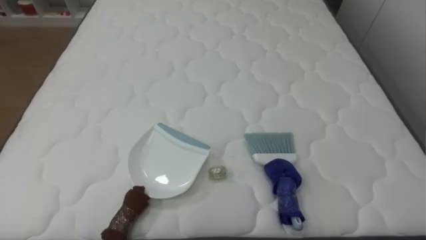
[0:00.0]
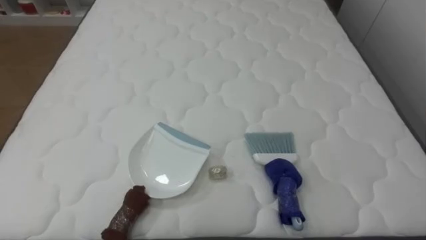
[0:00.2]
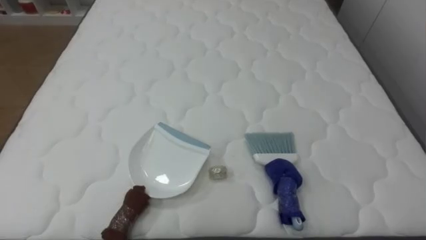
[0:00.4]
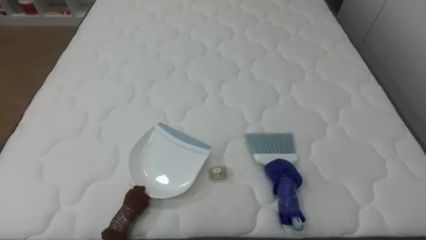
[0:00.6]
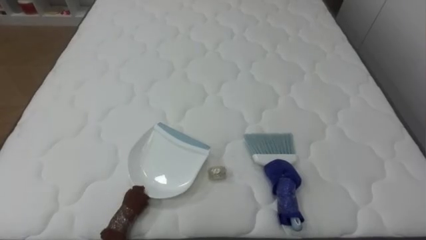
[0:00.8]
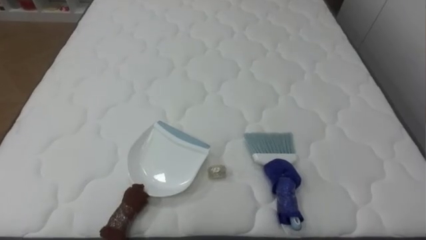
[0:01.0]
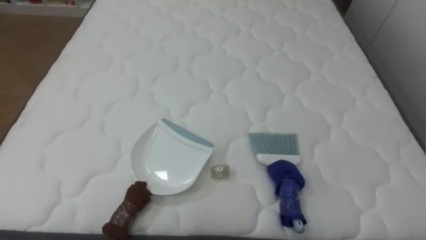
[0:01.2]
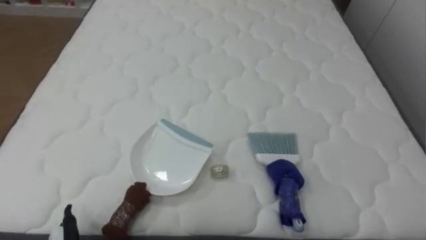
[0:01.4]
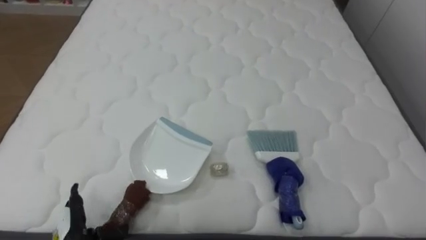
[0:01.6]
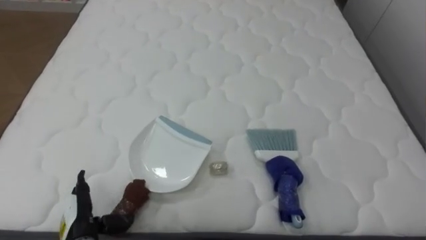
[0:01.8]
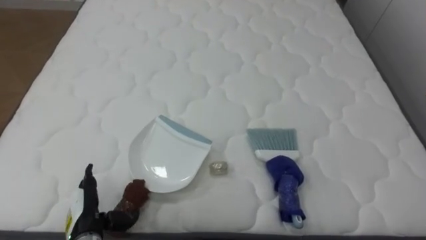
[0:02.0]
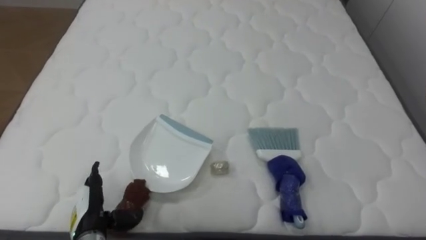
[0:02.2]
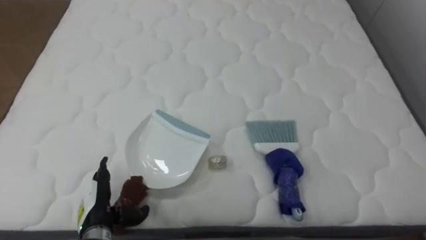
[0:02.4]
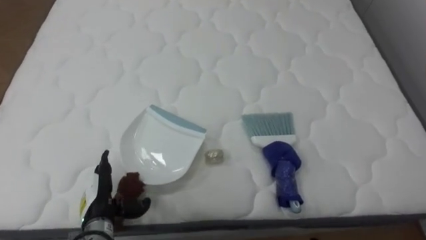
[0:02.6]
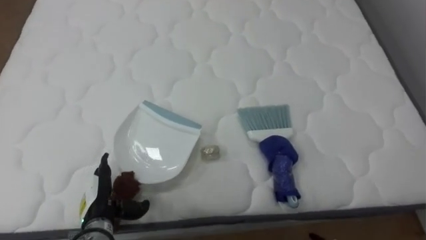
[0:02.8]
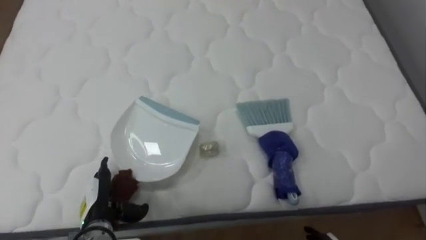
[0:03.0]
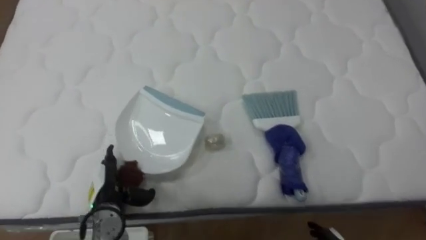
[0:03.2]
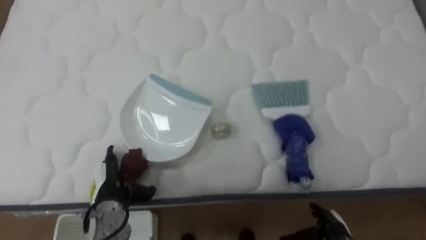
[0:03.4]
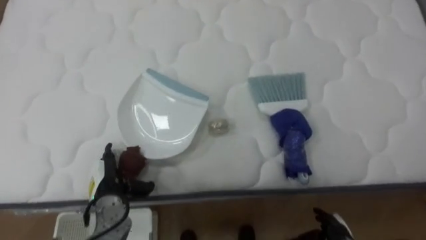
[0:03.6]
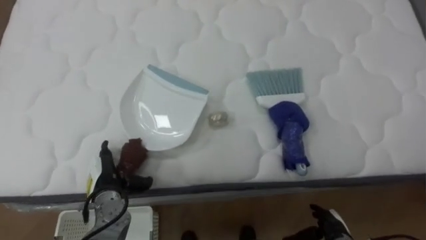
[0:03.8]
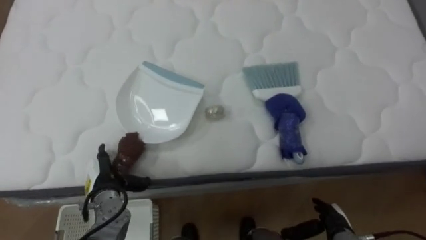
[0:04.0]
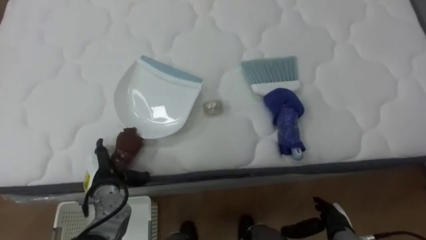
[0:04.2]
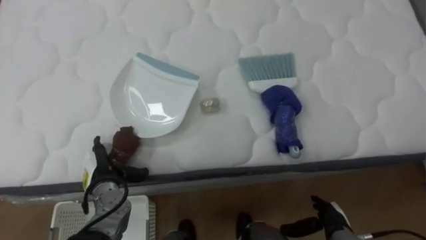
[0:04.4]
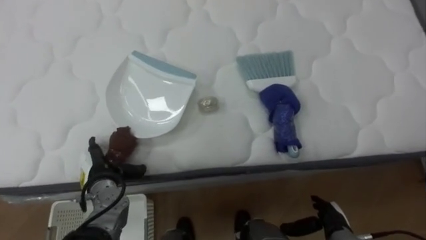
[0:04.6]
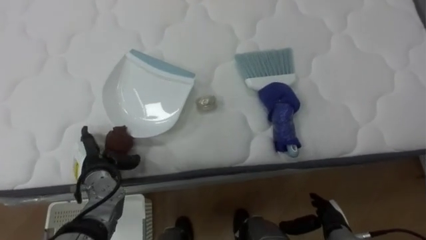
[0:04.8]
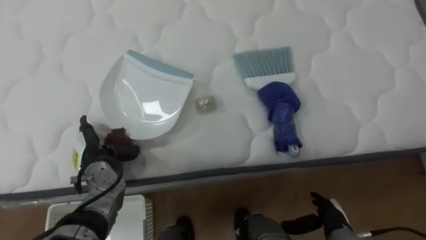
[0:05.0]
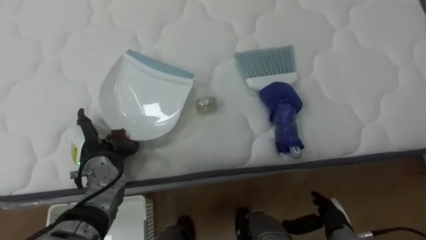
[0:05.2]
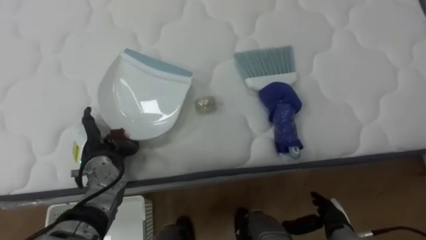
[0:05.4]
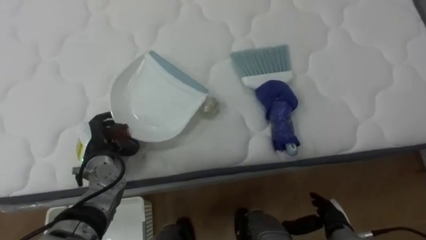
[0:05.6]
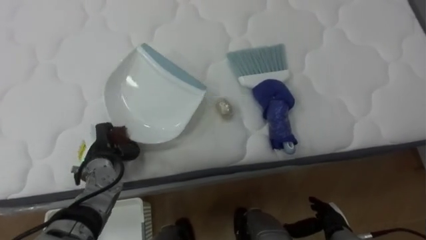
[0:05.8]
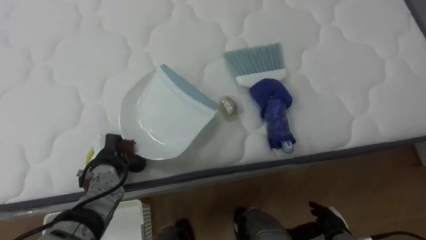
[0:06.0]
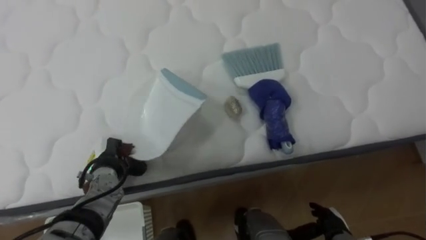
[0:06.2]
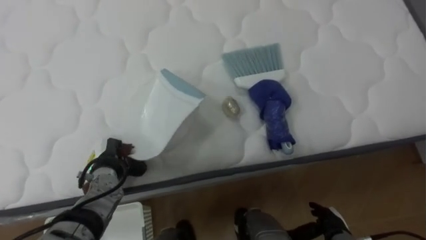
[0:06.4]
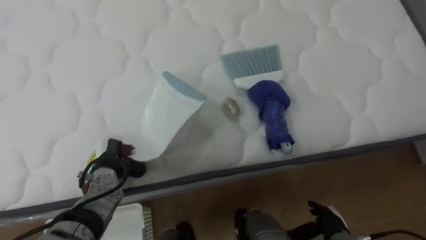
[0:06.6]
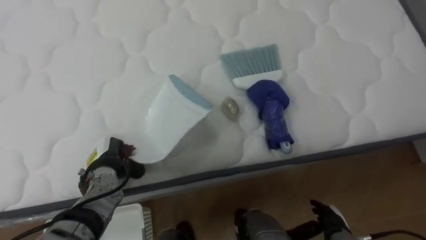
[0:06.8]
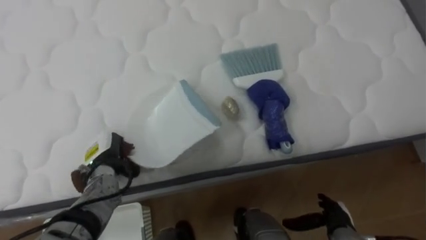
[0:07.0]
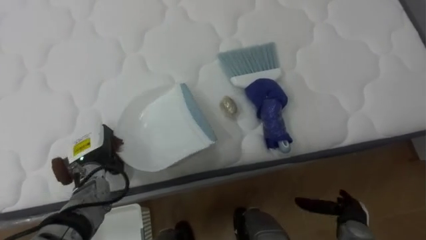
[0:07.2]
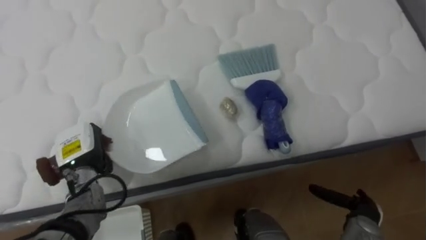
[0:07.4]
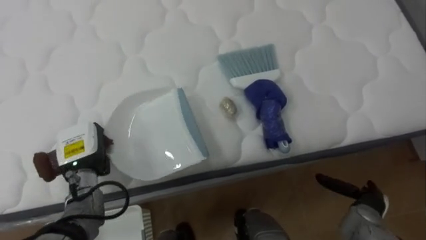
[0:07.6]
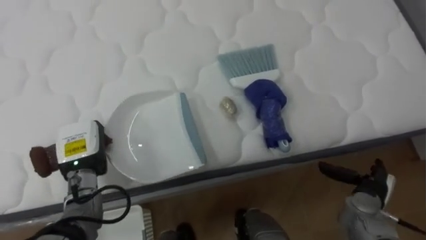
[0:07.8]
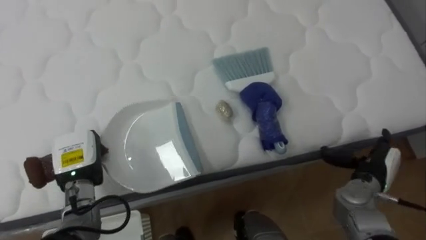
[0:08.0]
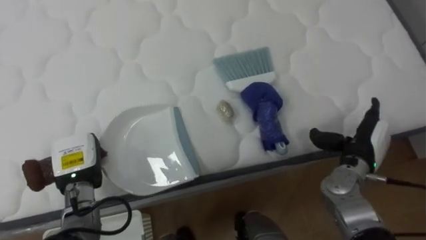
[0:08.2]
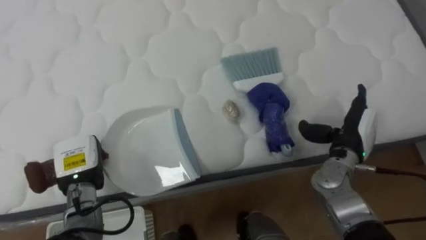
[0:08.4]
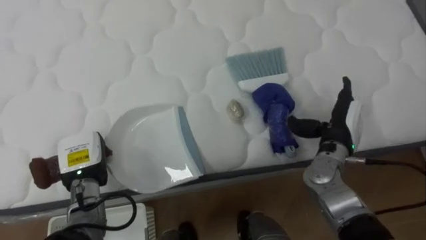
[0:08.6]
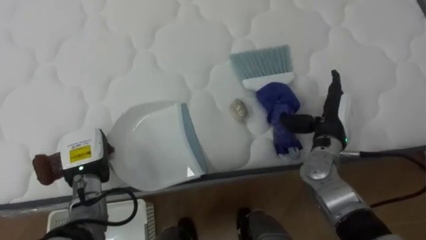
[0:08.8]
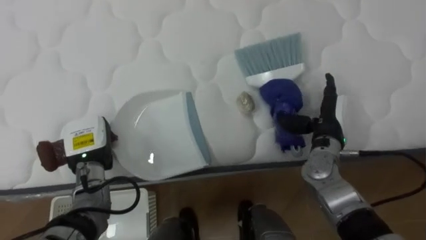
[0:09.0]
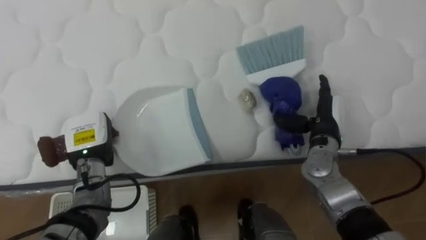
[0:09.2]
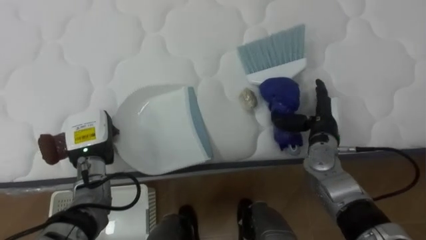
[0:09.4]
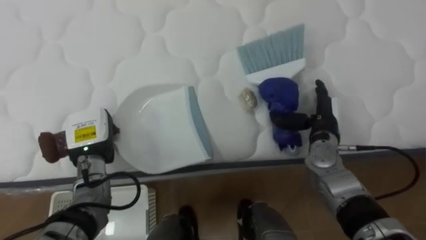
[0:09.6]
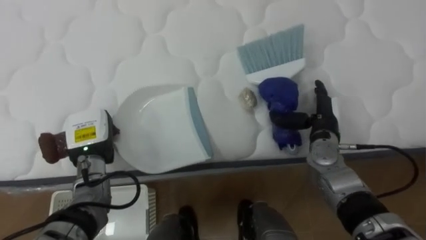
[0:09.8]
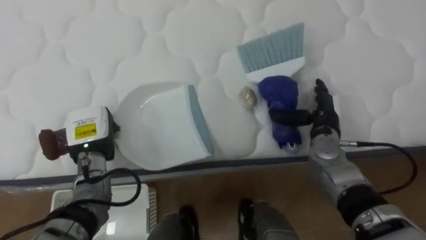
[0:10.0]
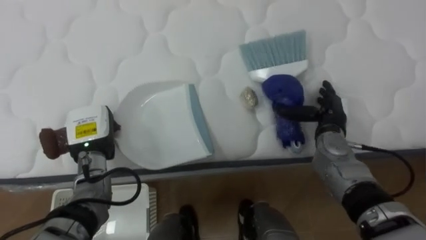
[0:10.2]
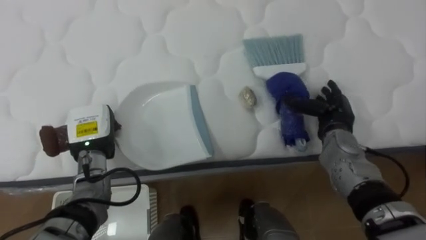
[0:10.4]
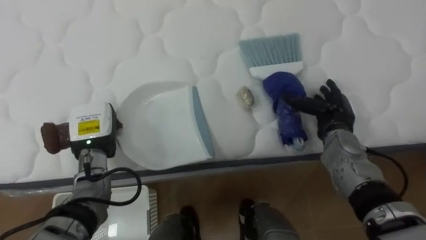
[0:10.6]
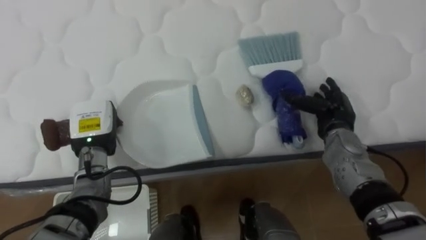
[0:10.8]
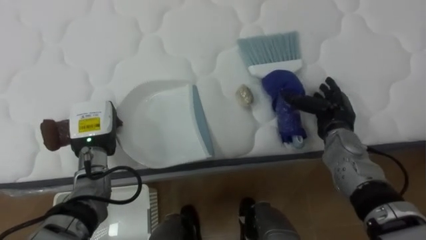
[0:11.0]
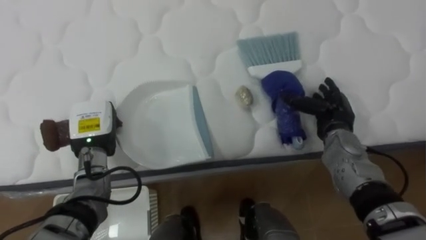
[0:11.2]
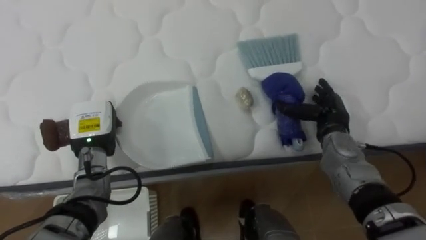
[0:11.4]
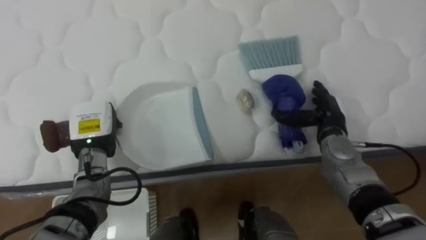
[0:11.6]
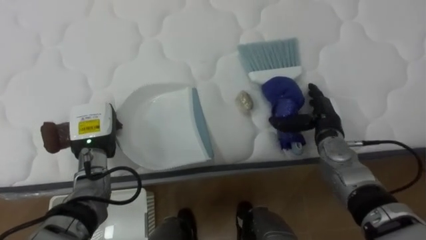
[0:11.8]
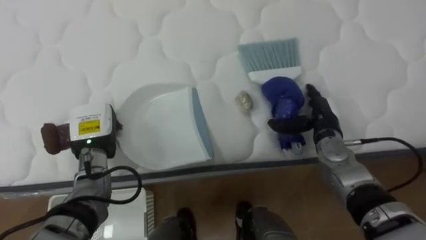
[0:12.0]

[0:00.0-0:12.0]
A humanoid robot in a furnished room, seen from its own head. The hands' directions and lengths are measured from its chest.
Task of the whole recording: Pick up the brush on your right and the dustpan on your left. Use the brush to sweep the crumpled paper on the bed into the dustpan, then turn left and empty it into the basket.
0:01.6 to 0:03.0: The left hand shifts roughly 5 cm forward.
0:03.0 to 0:04.4: The left hand is displaced forward by about 5 cm.
0:04.4 to 0:06.0: The left hand closes its fingers.
0:06.0 to 0:07.6: The right hand is displaced to the right by roughly 5 cm; the left hand changes place by roughly 5 cm.
0:07.6 to 0:09.0: The right hand goes approximately 20 cm upward, forward and to the left.

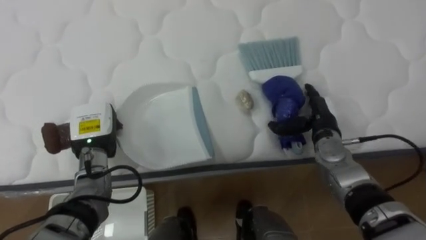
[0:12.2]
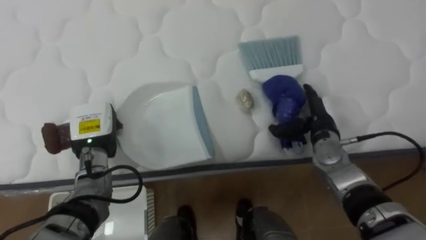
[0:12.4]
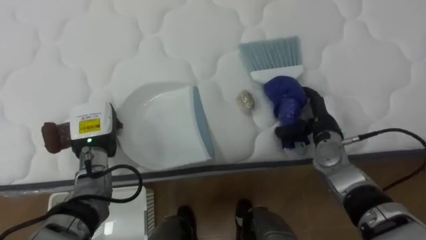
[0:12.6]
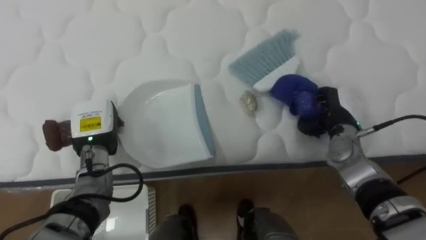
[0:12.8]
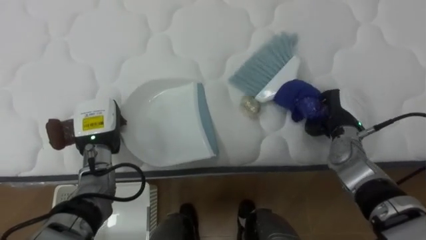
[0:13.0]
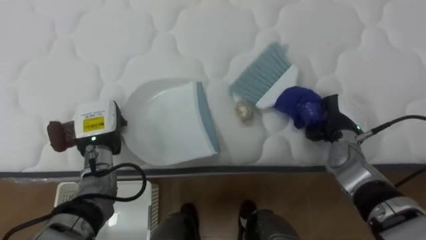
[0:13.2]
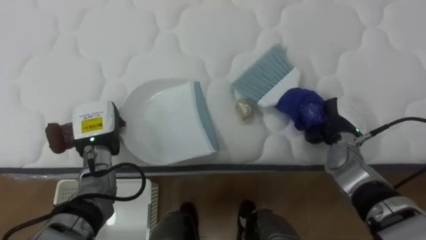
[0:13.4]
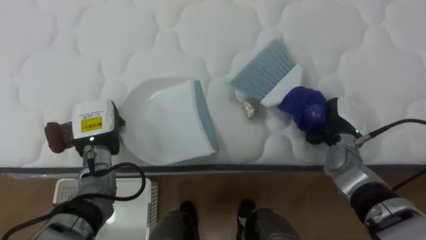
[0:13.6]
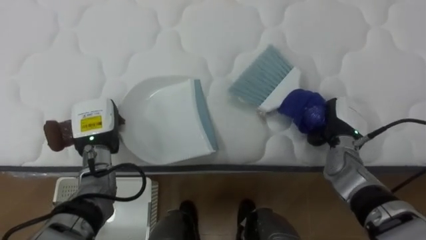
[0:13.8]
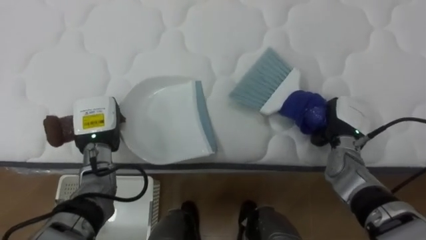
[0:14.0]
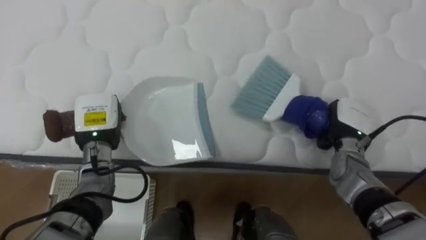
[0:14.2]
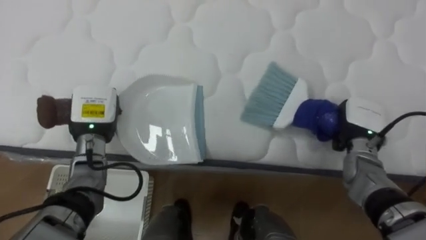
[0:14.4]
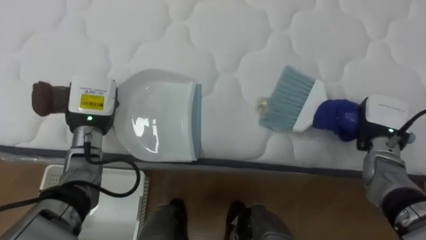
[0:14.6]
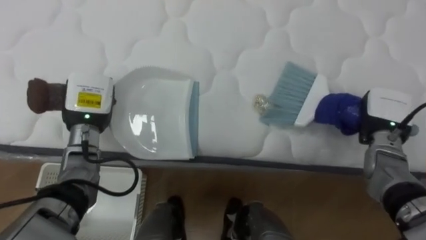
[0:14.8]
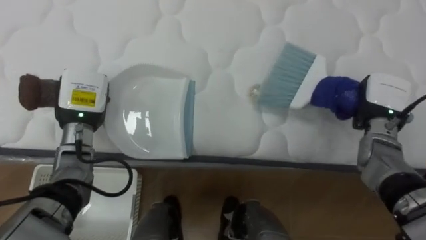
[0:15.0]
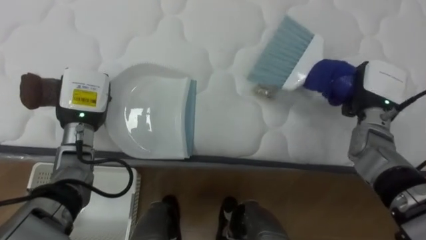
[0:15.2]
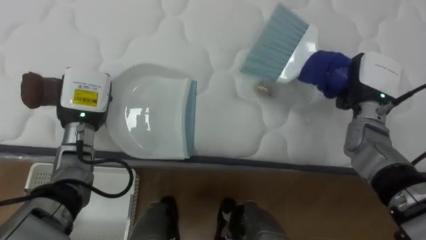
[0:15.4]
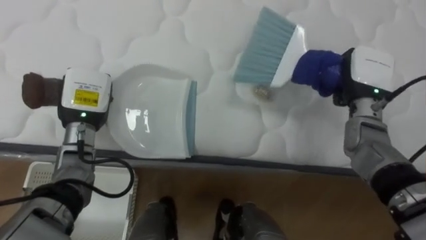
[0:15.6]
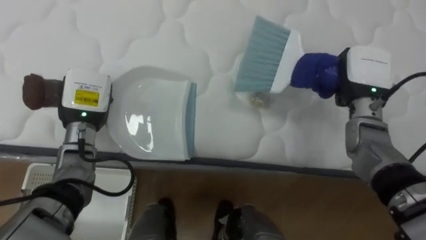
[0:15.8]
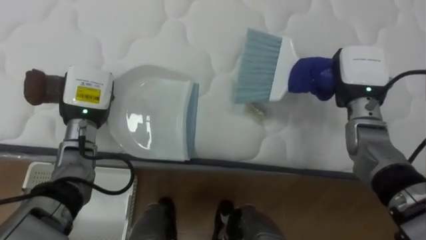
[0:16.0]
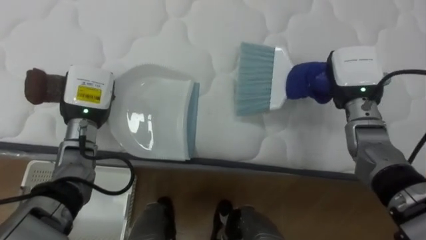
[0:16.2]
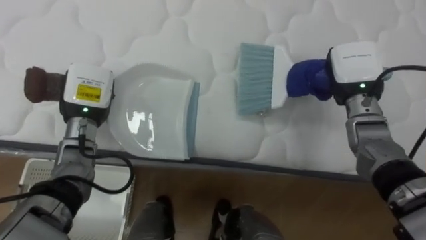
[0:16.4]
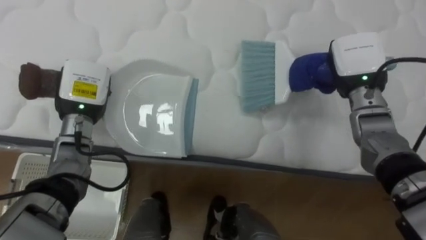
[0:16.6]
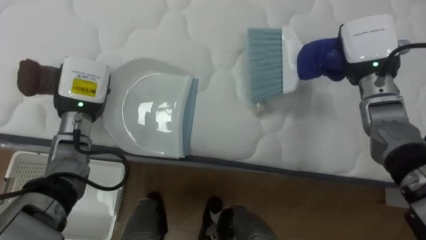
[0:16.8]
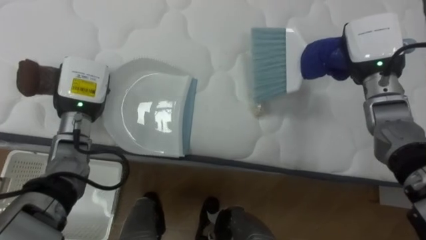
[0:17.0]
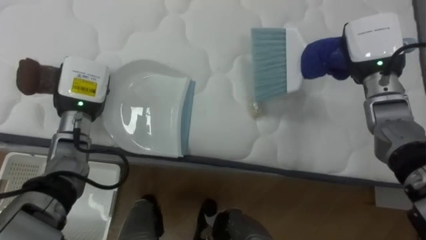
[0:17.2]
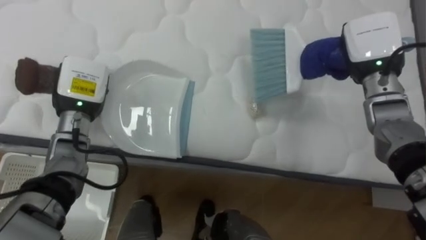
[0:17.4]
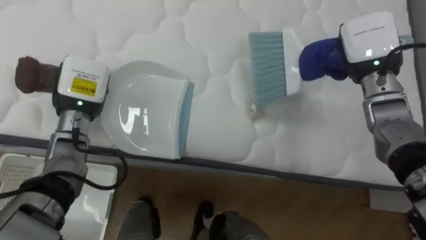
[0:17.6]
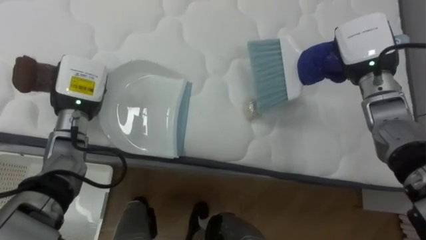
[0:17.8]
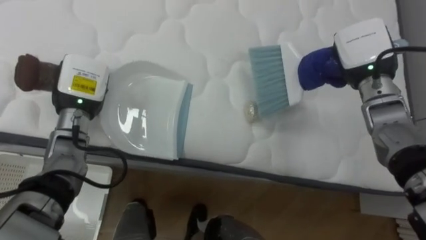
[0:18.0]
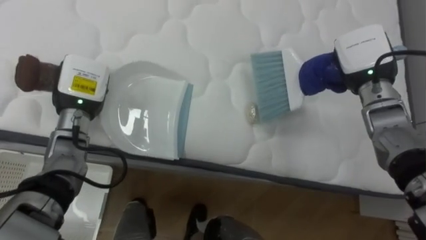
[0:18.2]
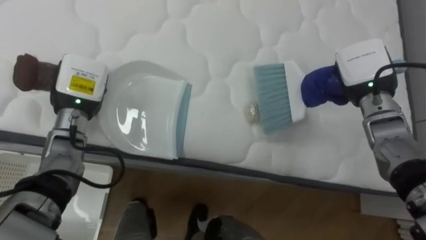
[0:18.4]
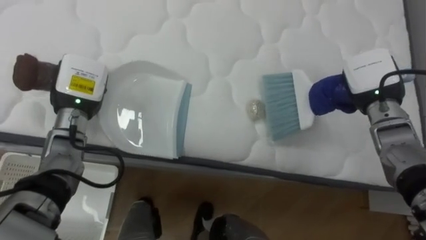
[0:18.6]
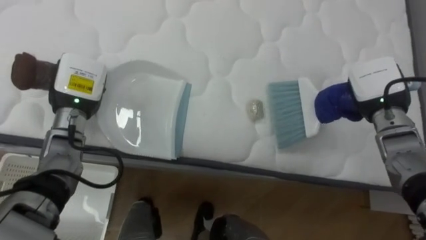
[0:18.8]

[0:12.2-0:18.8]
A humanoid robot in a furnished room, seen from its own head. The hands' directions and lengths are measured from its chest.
Task of the whole recording: Pick up the brush on your right and the dustpan on your left. Use the brush to sweep the crumpled paper on the bed into the dustpan, then turn left and empty it into the basket.
0:12.2 to 0:13.8: The right hand ends up approximately 5 cm from where it was, and closes its fingers.
0:13.8 to 0:15.4: The right hand heads upward, covering some 10 cm. Meanwhile the left hand is displaced upward by roughly 5 cm.
0:15.4 to 0:17.2: The right hand is displaced upward by approximately 5 cm.
0:17.2 to 0:18.8: The right hand travels downward by approximately 5 cm.
